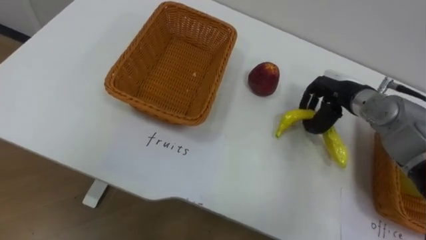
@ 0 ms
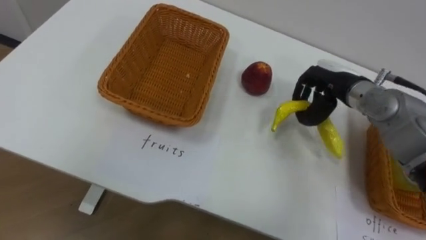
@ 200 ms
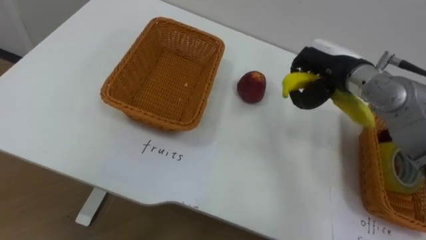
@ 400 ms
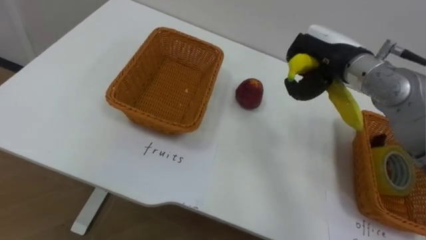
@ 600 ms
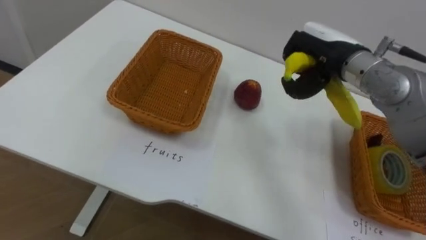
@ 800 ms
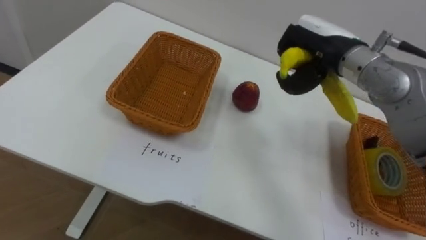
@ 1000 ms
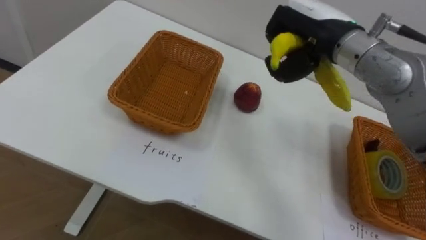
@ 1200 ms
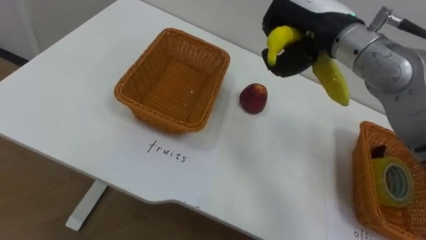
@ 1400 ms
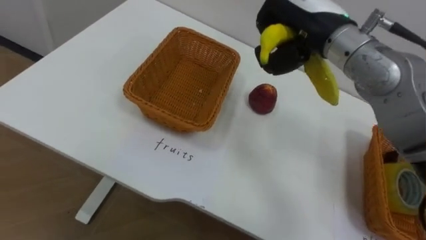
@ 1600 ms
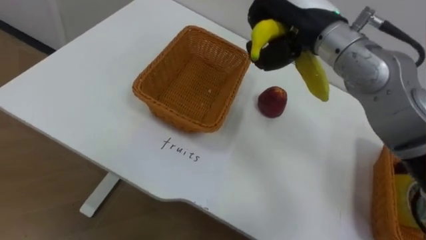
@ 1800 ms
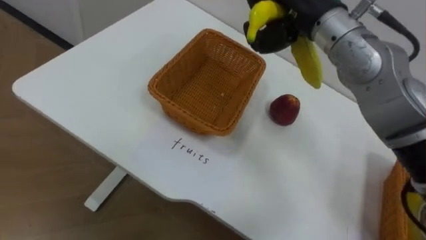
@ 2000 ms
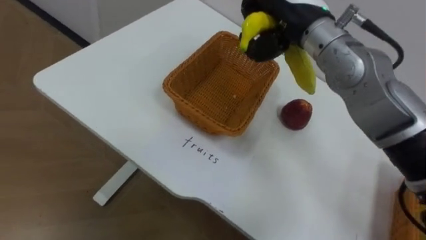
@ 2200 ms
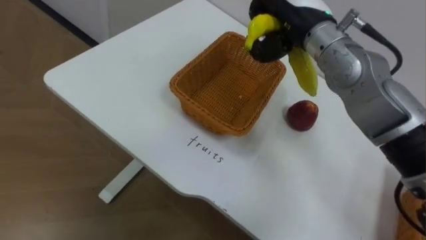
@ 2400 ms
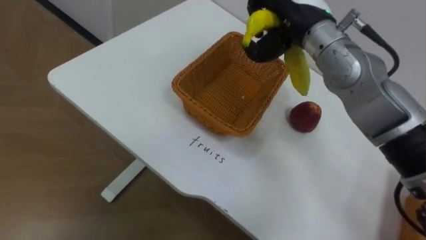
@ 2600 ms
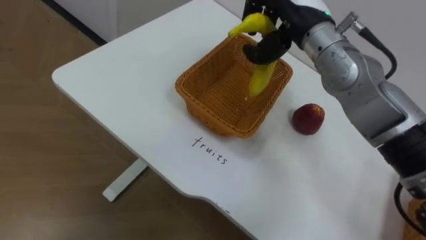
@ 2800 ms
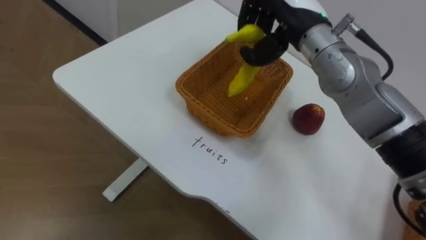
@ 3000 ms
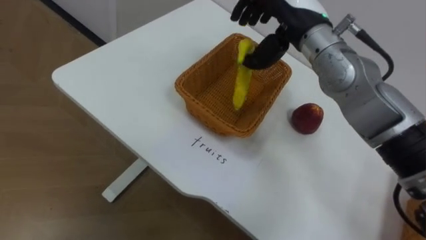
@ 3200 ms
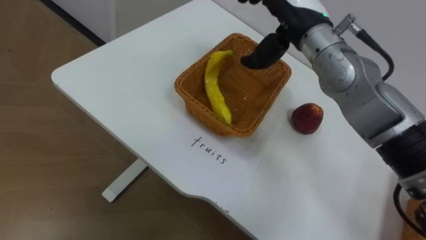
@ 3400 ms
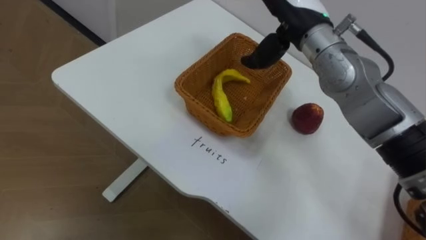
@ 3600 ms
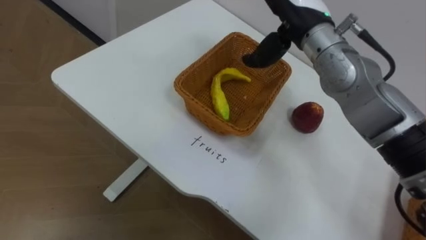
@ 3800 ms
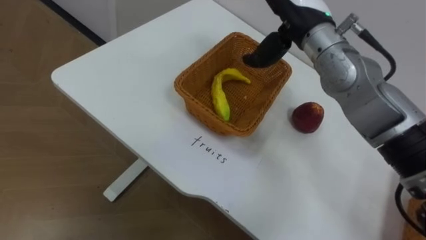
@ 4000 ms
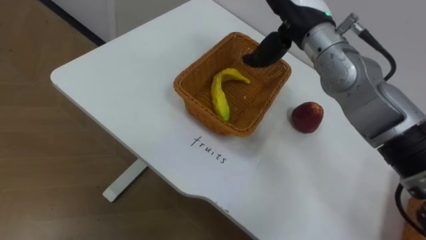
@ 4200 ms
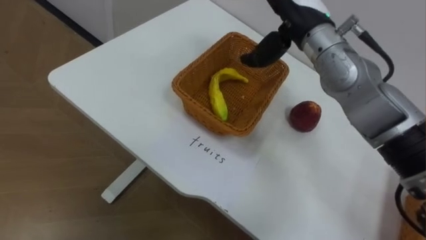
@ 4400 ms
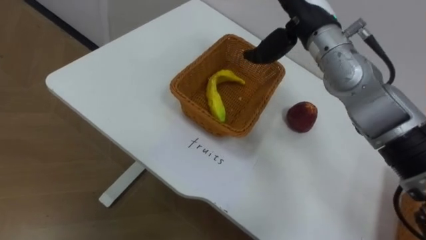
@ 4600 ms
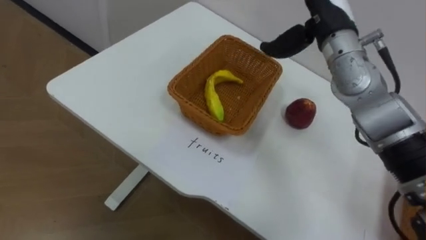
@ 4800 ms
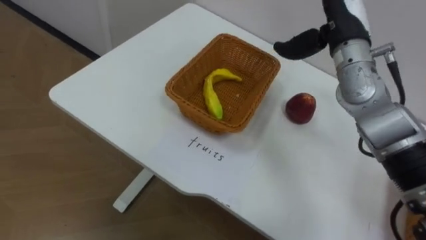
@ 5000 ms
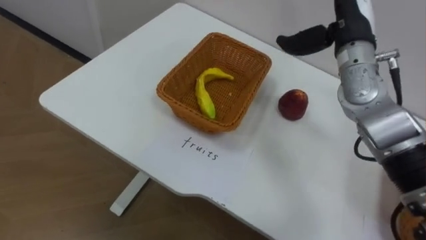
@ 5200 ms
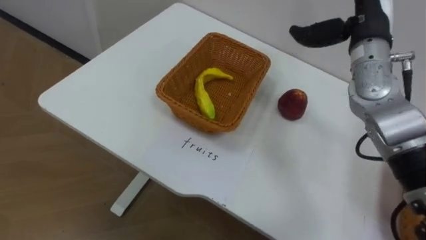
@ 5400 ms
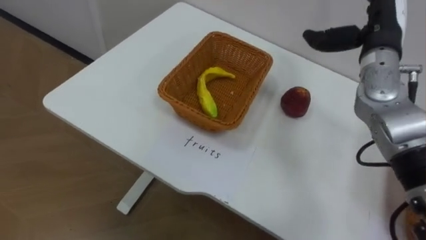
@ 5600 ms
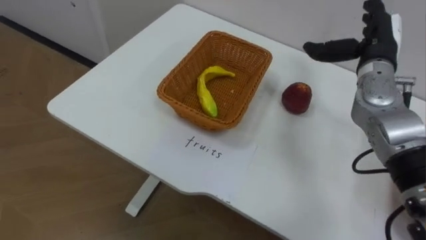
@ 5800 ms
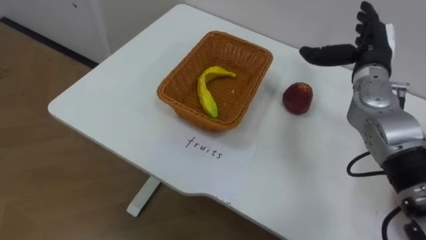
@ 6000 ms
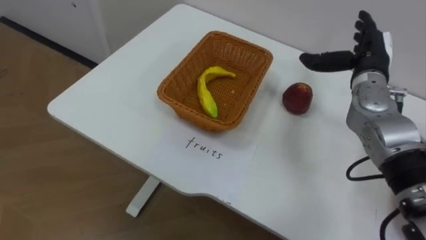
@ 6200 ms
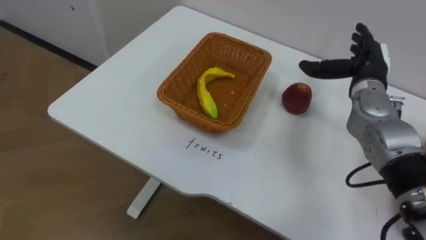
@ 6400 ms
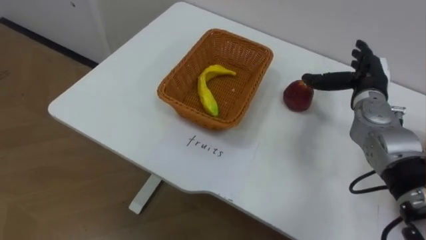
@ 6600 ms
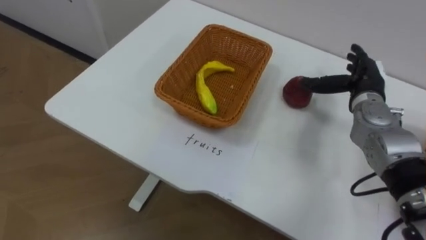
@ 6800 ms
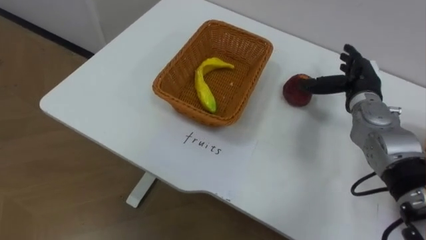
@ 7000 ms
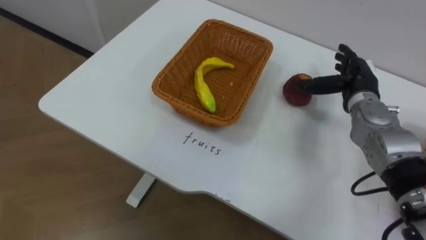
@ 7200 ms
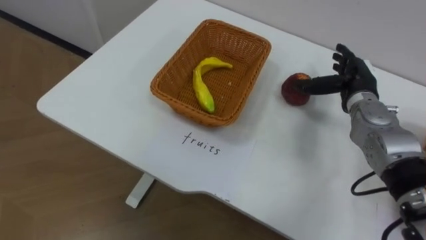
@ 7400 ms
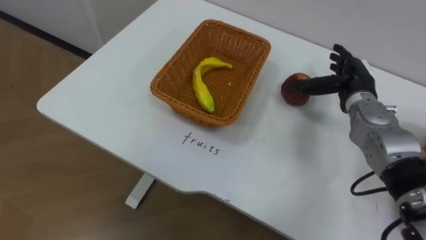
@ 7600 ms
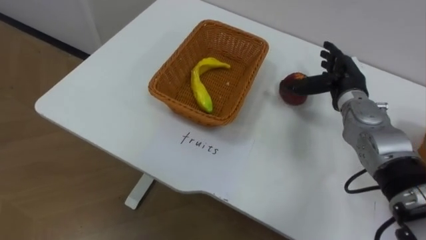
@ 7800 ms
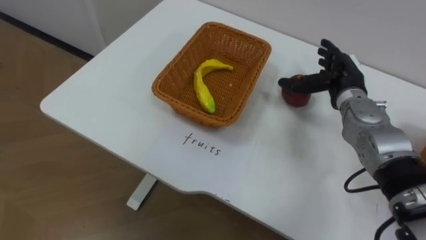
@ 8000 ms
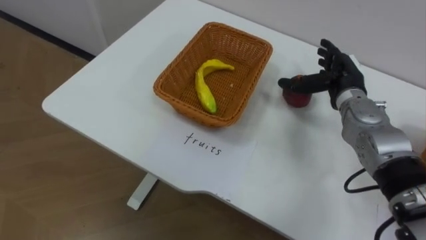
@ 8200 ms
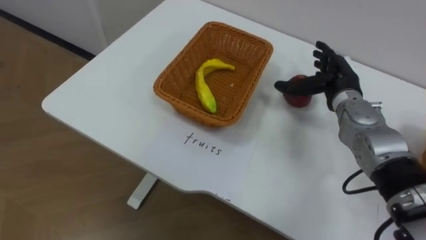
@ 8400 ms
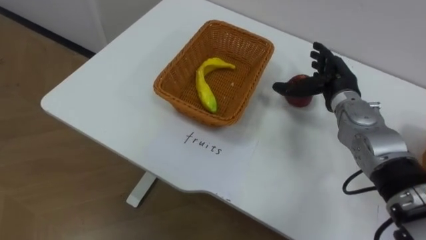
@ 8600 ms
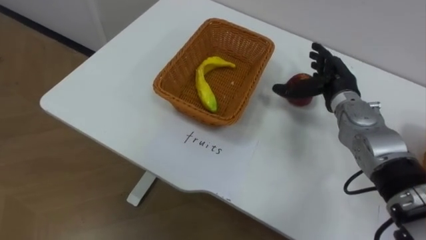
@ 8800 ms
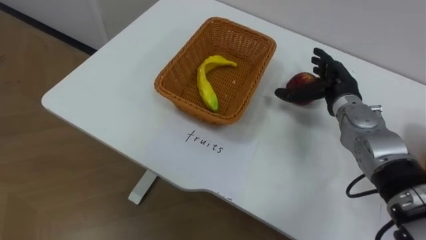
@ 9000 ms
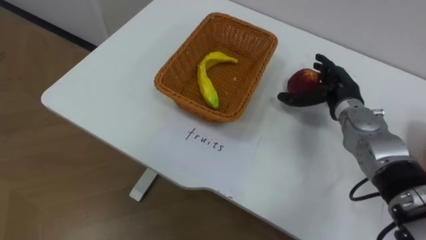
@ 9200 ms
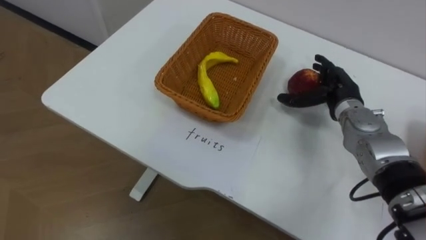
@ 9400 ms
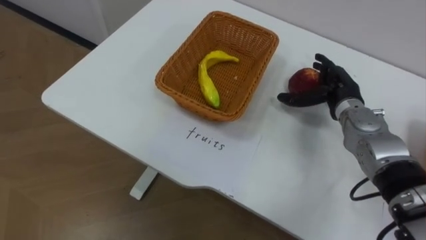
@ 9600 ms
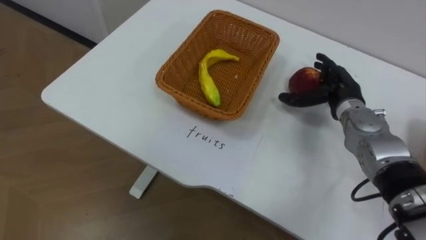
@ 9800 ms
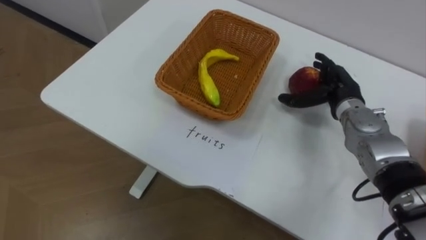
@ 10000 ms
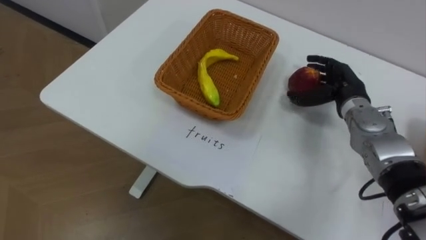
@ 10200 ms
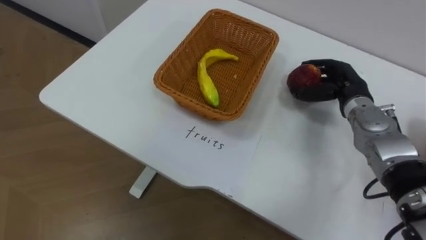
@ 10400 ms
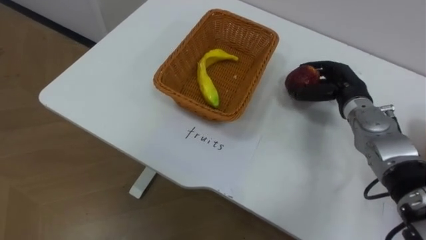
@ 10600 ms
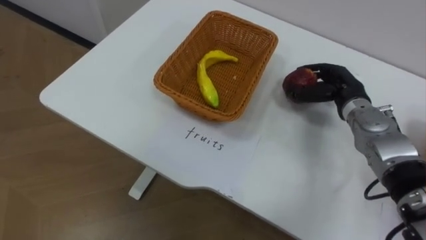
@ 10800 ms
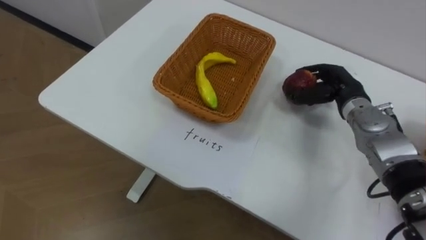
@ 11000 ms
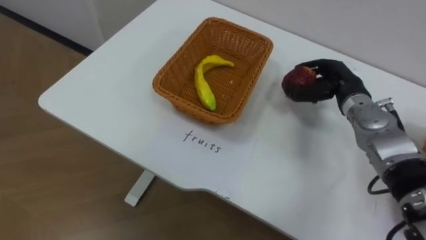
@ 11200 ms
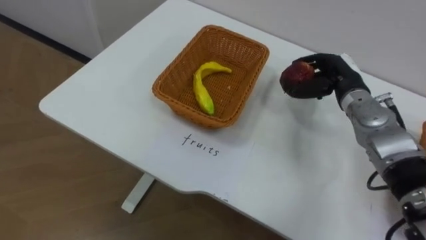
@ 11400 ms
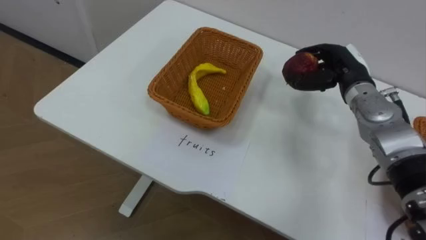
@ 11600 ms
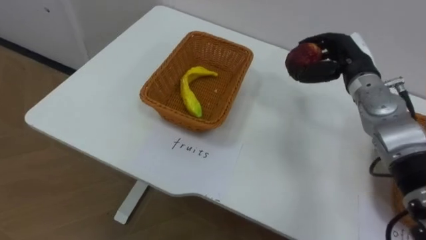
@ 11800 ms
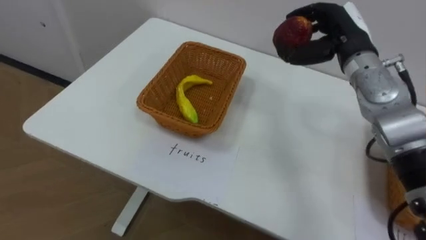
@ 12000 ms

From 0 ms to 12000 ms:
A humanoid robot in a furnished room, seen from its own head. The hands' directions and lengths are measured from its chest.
Task of the whole recording: Separate the items on the table and place them into the two baskets.
From 0 ms to 1600 ms: The right hand is displaced upward and to the left by about 20 cm.
From 3000 ms to 4400 ms: The right hand opens up.
From 4400 ms to 6000 ms: The right hand goes roughly 15 cm to the right and downward.
From 6000 ms to 7600 ms: The right hand shifts about 5 cm downward.
From 9000 ms to 10400 ms: The right hand closes.
From 10400 ms to 12000 ms: The right hand moves upward, about 10 cm.

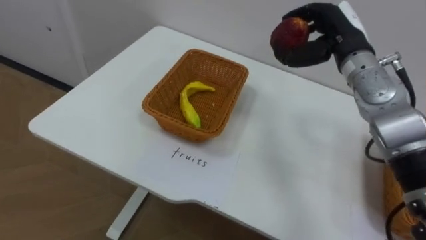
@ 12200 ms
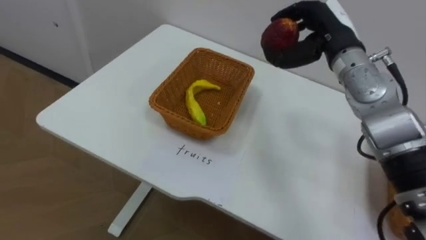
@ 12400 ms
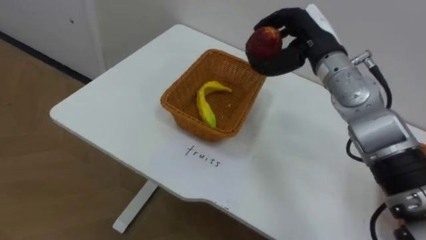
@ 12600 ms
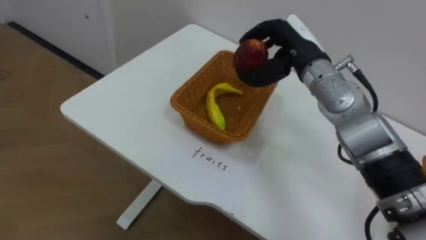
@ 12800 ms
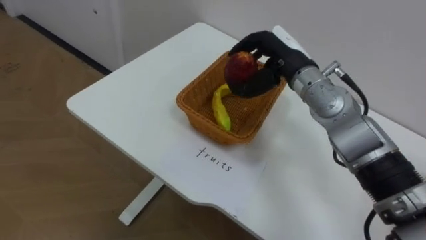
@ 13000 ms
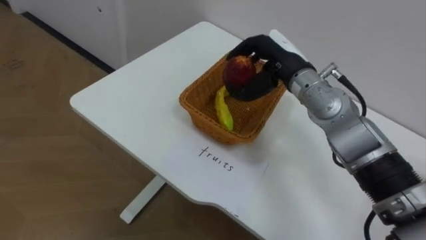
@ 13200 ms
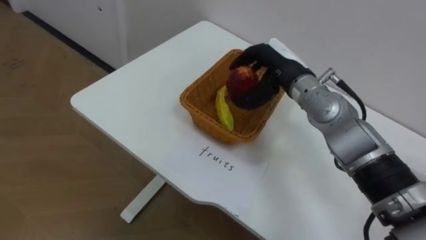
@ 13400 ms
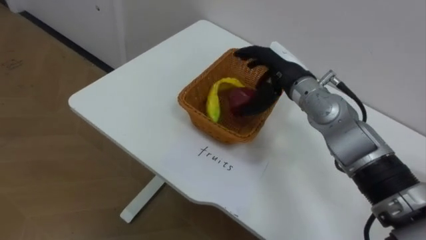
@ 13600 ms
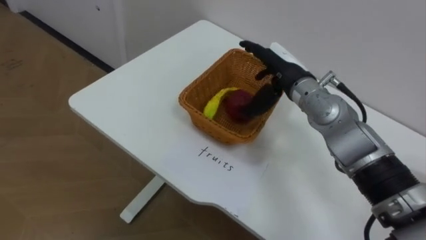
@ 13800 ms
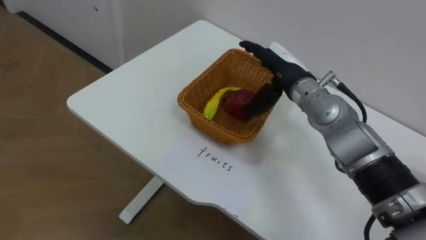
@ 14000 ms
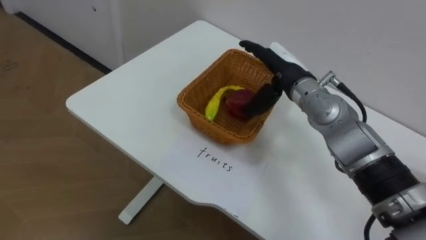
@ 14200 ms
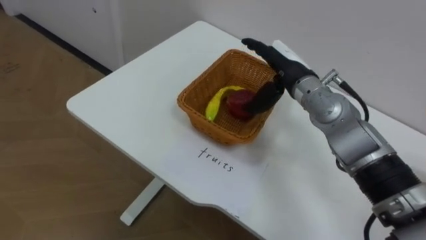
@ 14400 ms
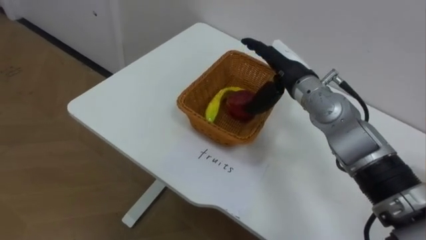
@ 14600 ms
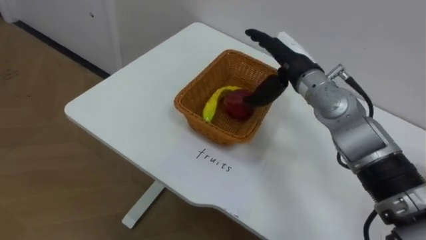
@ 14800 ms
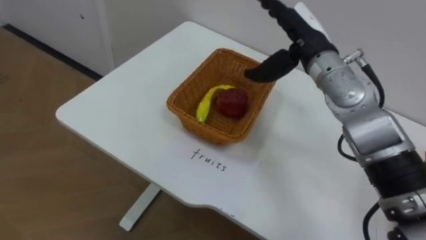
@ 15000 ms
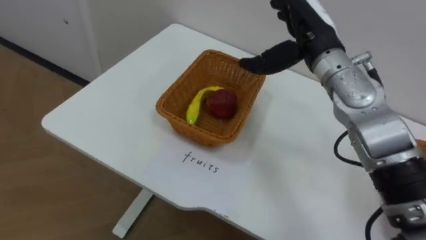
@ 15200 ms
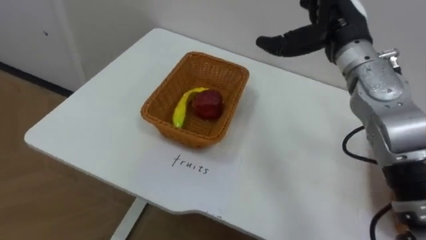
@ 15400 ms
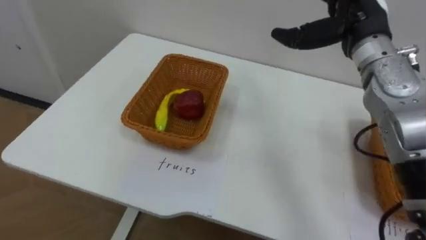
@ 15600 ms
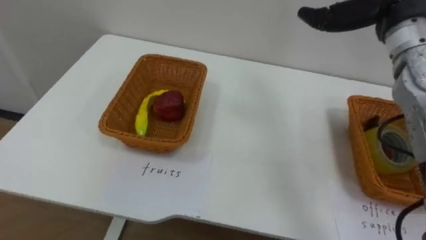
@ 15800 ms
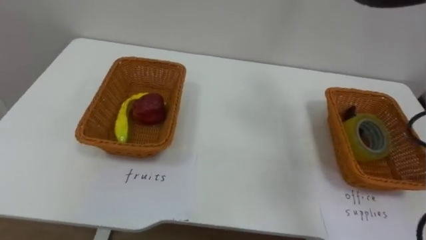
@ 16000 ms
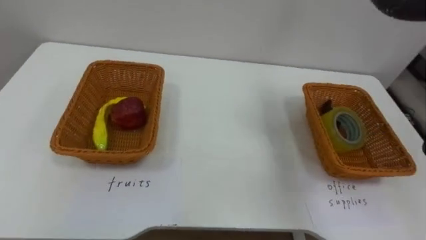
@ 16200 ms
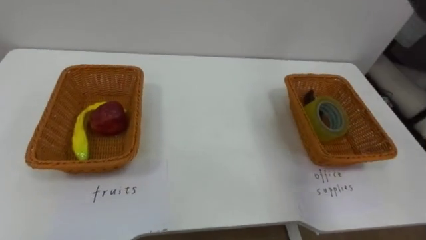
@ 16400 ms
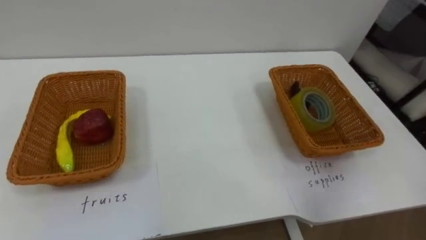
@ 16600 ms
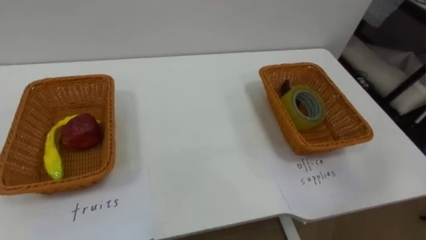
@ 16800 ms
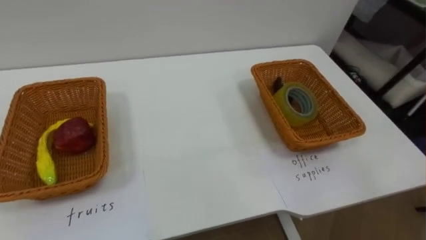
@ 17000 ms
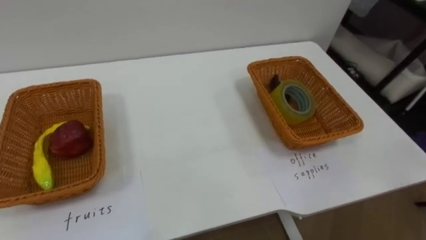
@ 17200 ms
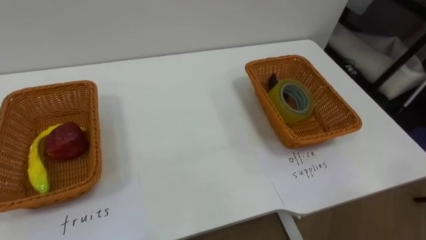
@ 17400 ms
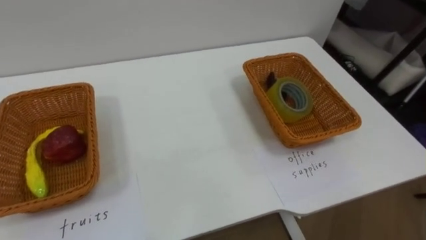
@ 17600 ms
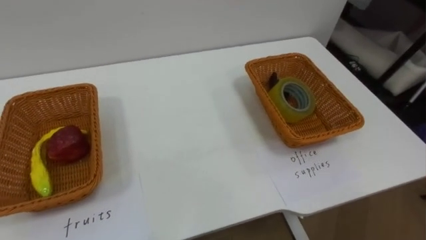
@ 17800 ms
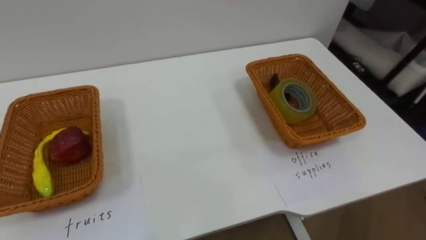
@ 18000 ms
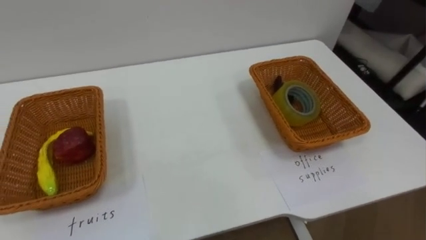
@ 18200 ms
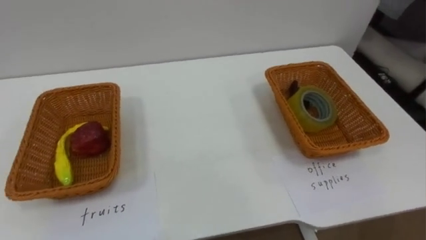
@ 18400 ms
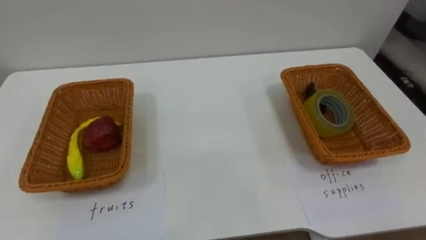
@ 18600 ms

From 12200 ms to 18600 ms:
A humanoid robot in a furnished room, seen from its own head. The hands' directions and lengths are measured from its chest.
Task of the whole recording: Separate the items on the table and place them into the two baskets.
From 12200 ms to 13800 ms: The right hand moves to the left and downward, some 10 cm, and opens up.
From 13800 ms to 15400 ms: The right hand moves upward and to the right, some 10 cm.
